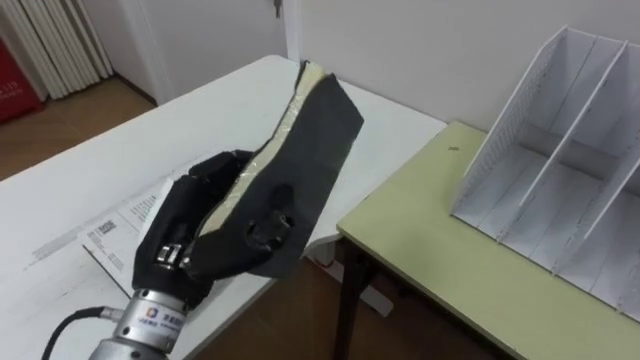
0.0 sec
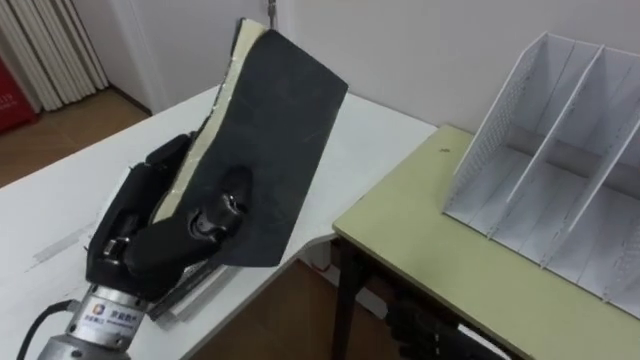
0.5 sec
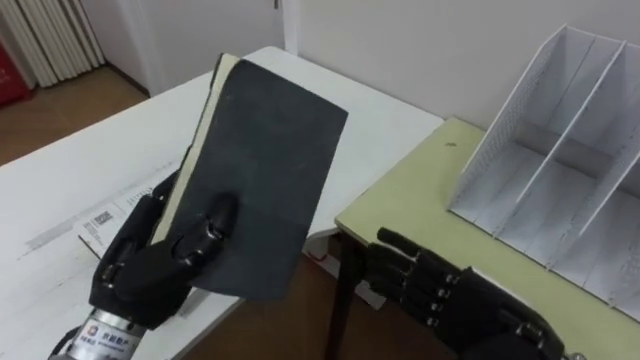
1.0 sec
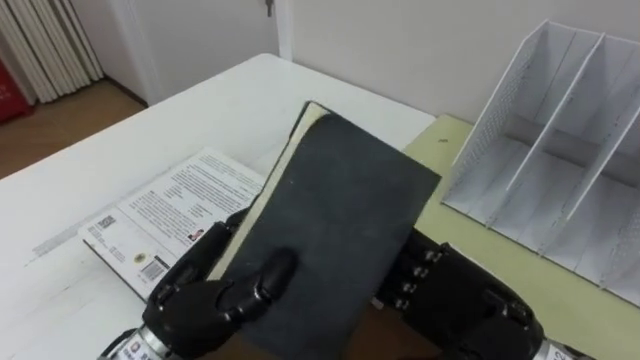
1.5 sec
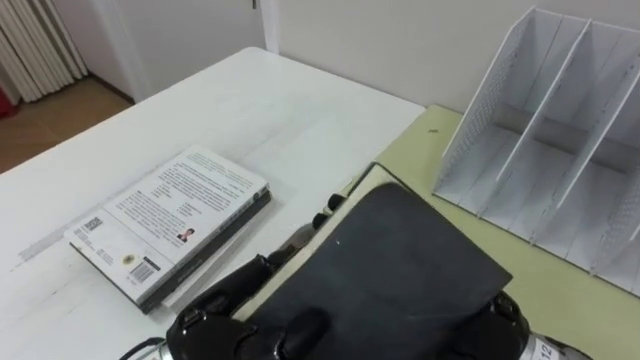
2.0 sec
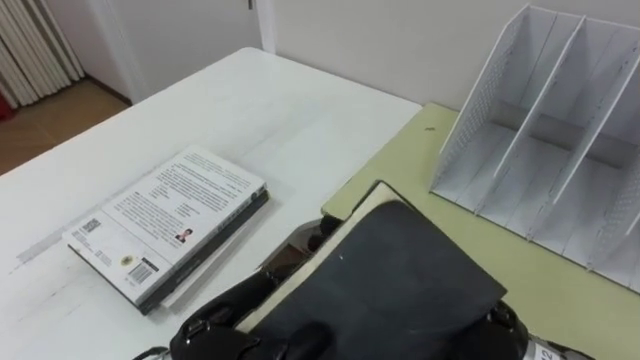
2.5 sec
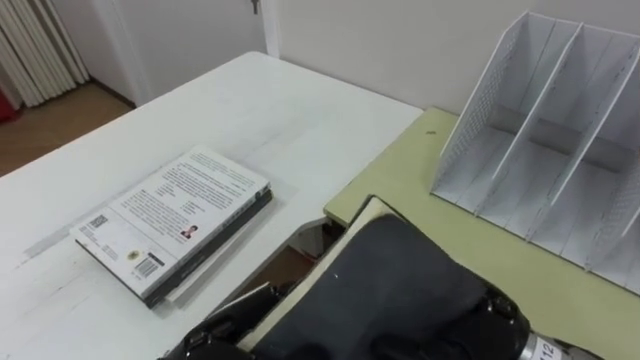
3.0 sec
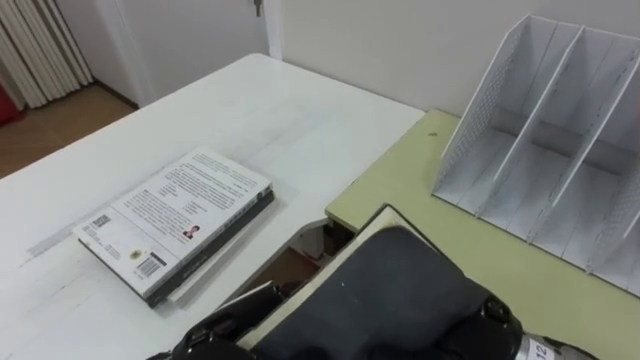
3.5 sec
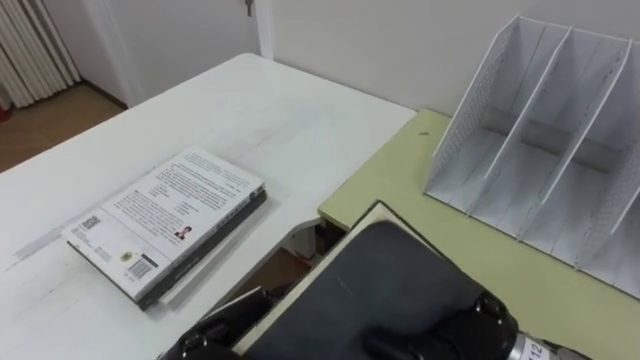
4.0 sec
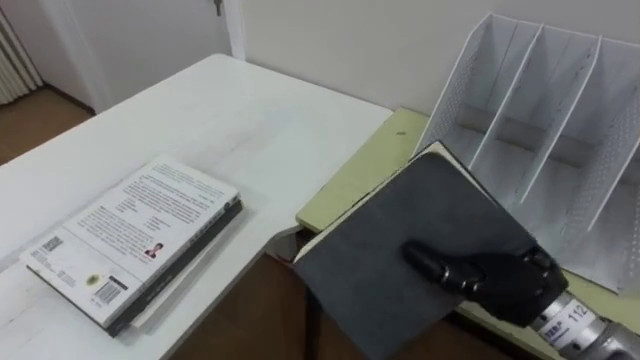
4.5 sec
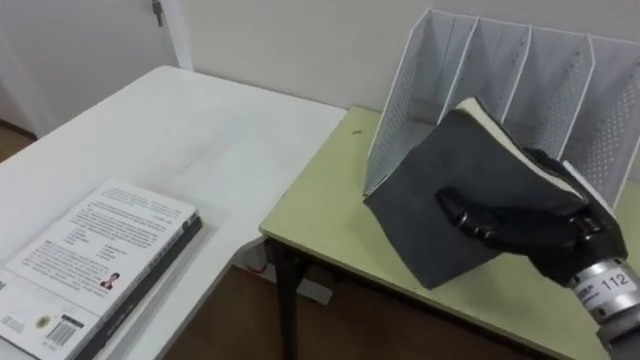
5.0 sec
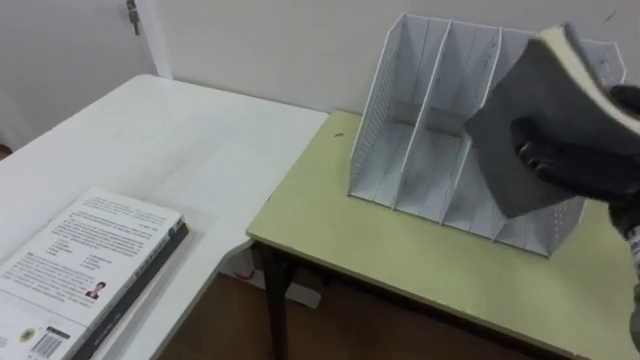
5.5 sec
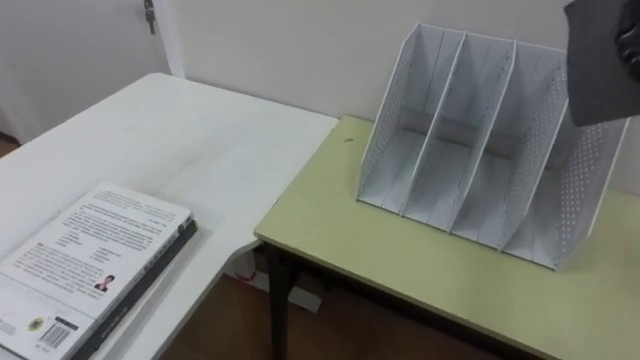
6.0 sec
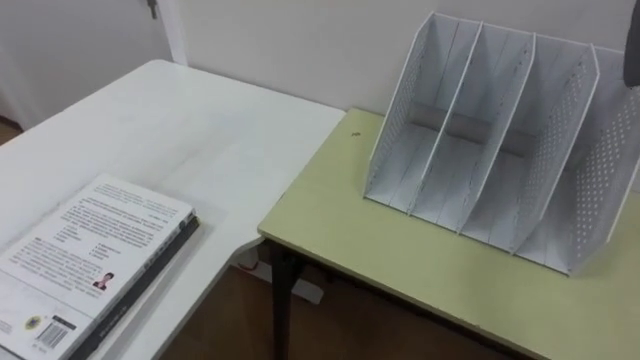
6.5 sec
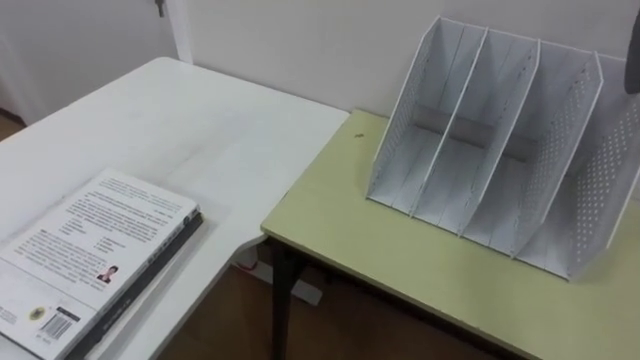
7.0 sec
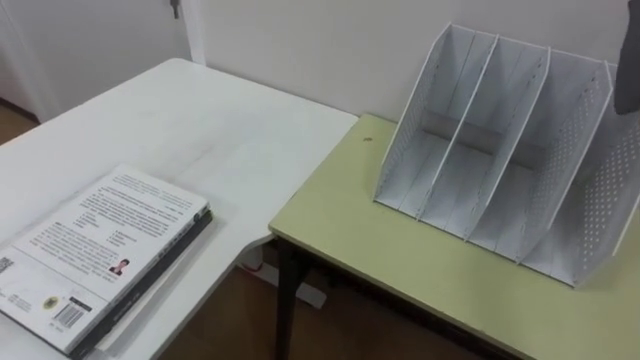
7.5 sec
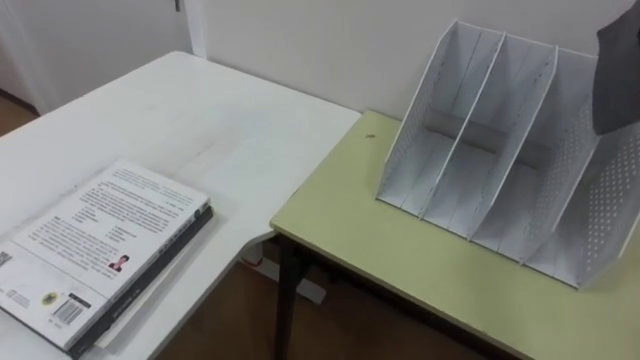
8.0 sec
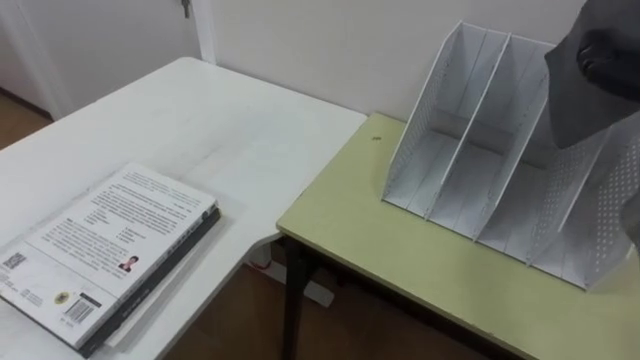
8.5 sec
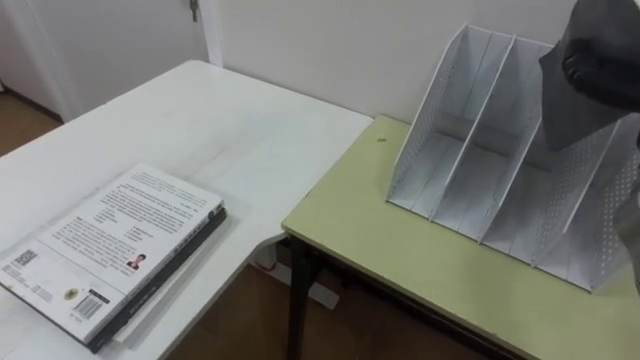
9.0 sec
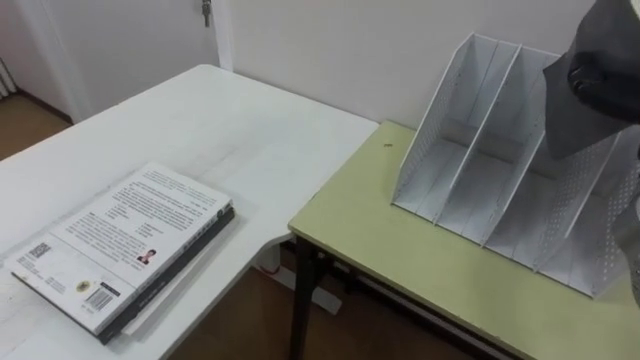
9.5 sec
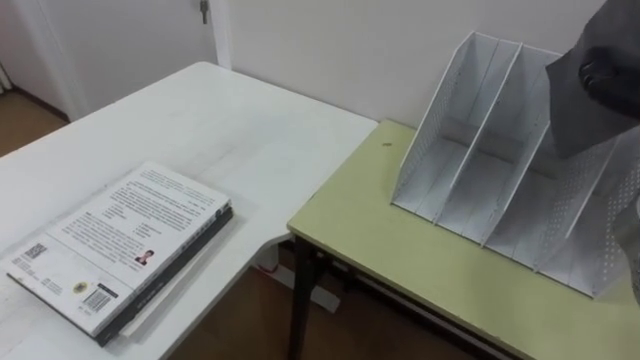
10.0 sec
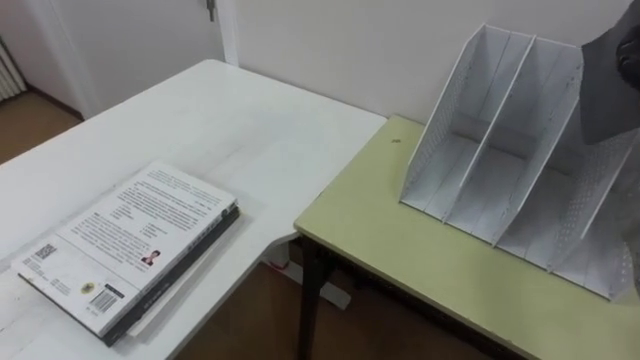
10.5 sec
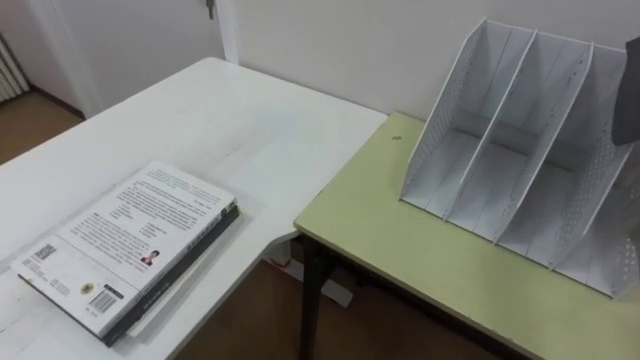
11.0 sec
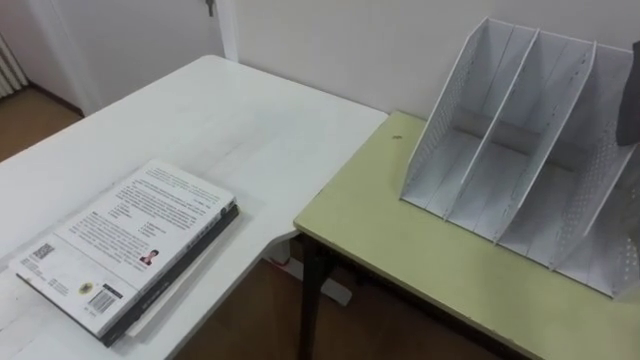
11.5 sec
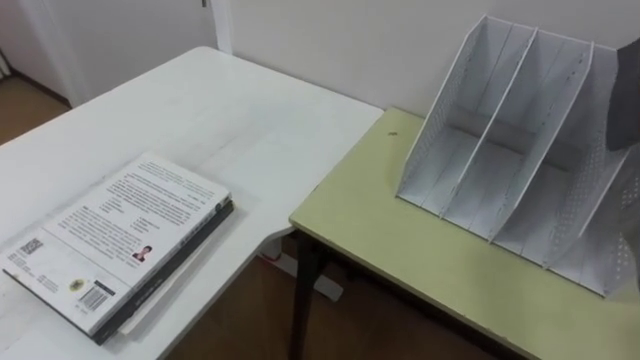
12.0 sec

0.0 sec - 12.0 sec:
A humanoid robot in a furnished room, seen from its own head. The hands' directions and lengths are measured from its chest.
Task of the whole recording: Put the books on the table onto the bookshelf.
0.0 sec - 2.0 sec: The left hand travels backward and to the right by about 10 cm.
2.0 sec - 4.0 sec: The right hand closes up.

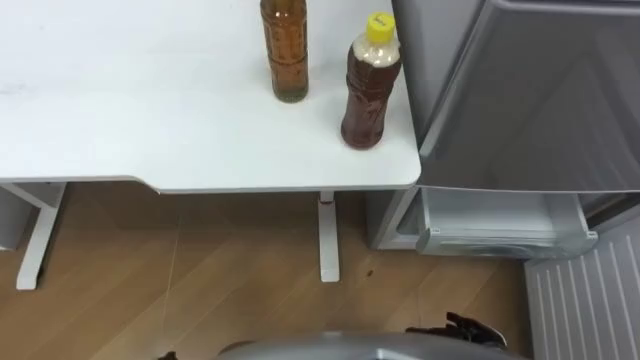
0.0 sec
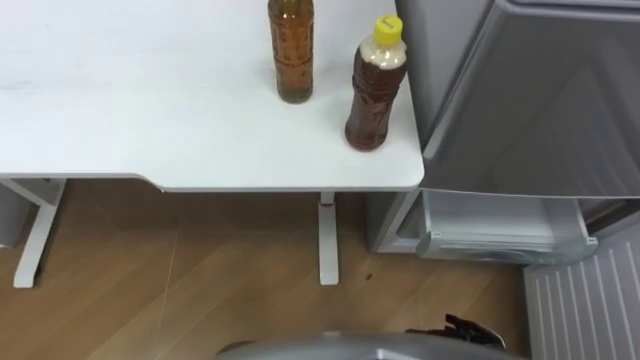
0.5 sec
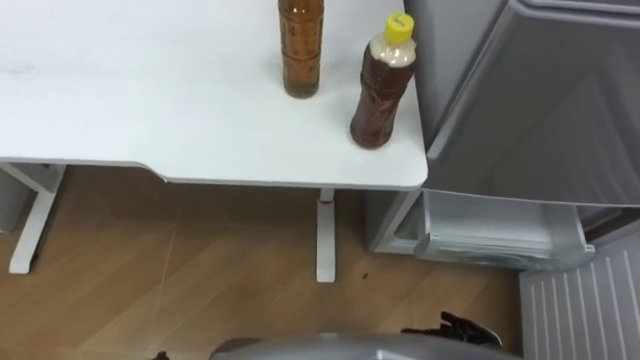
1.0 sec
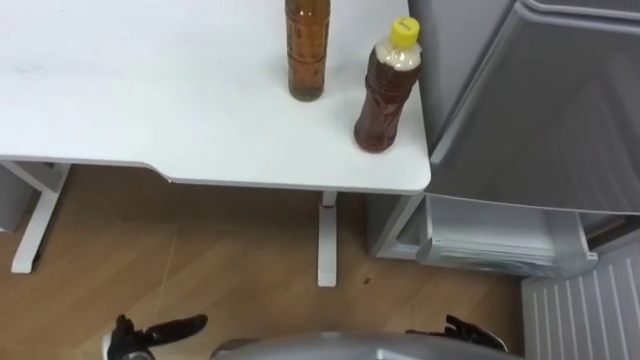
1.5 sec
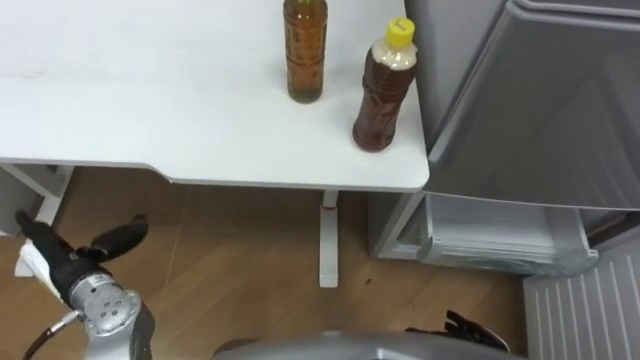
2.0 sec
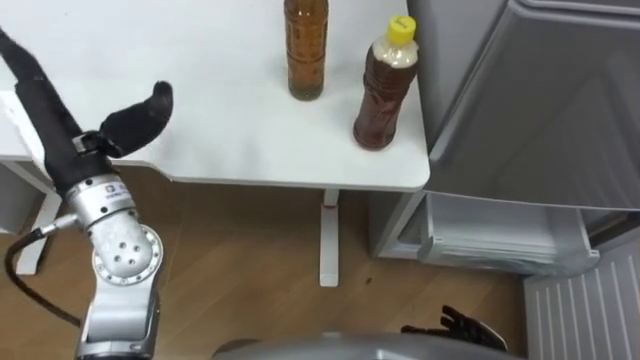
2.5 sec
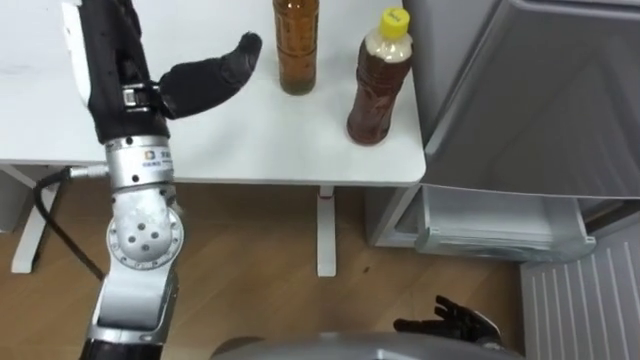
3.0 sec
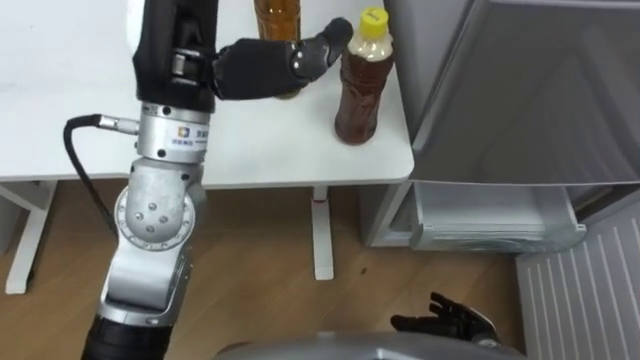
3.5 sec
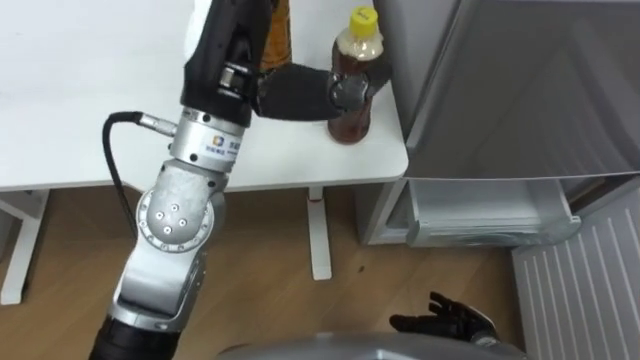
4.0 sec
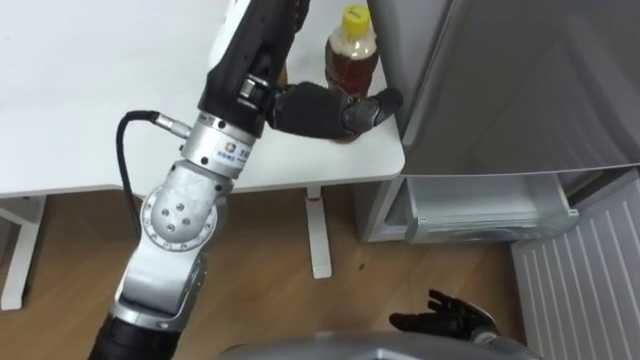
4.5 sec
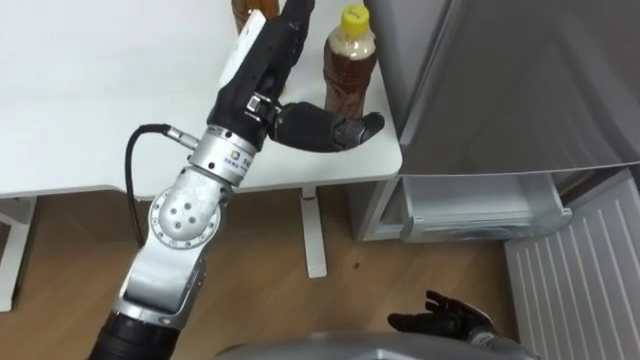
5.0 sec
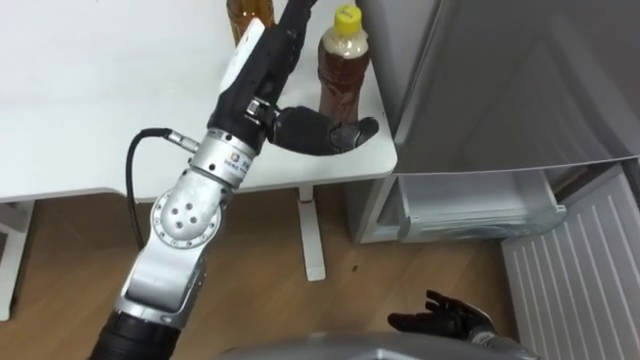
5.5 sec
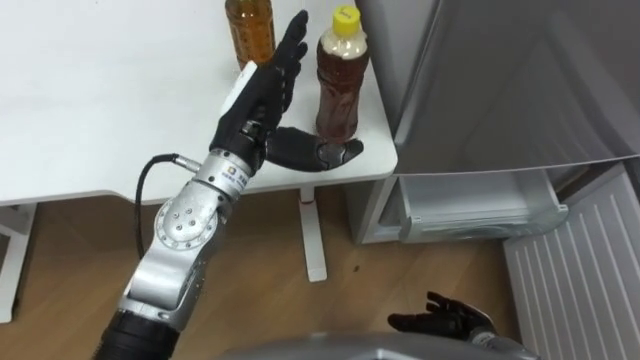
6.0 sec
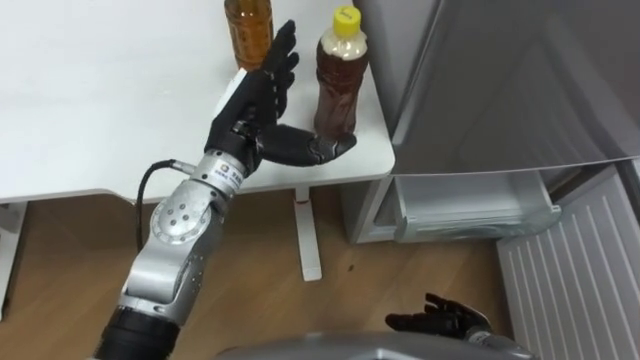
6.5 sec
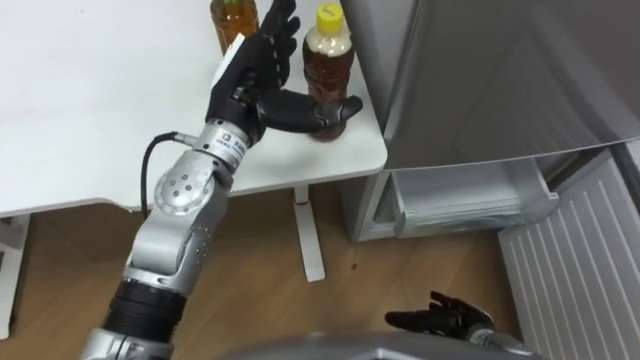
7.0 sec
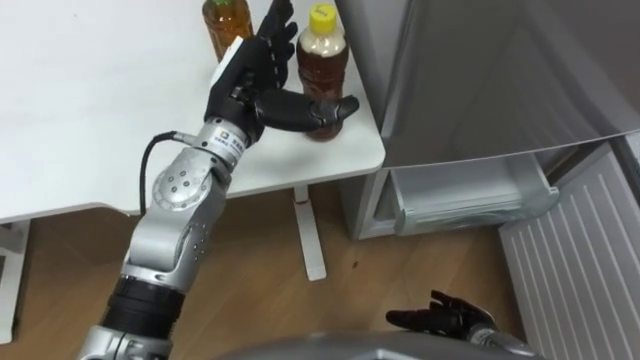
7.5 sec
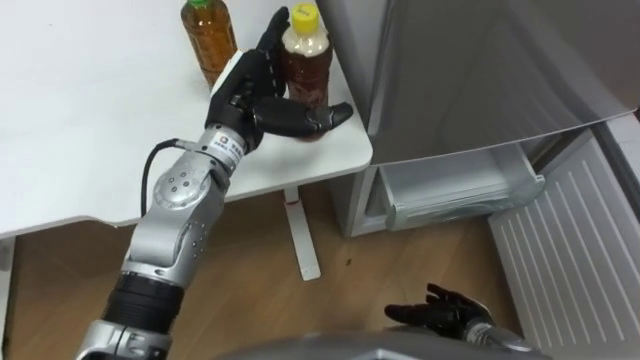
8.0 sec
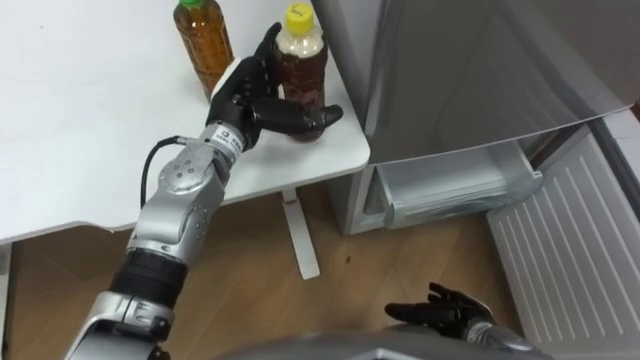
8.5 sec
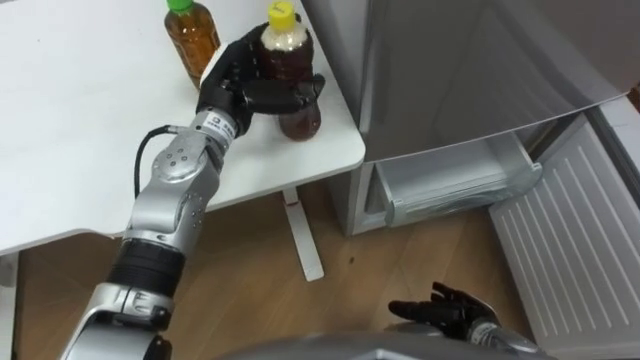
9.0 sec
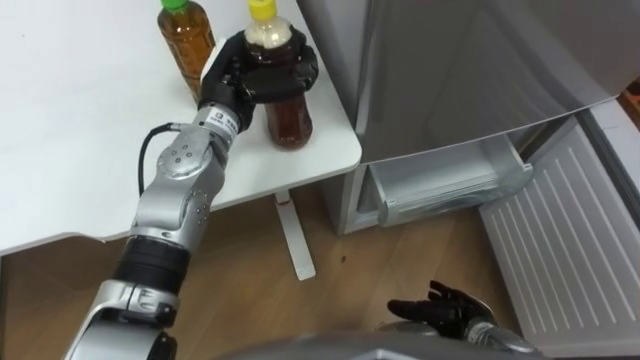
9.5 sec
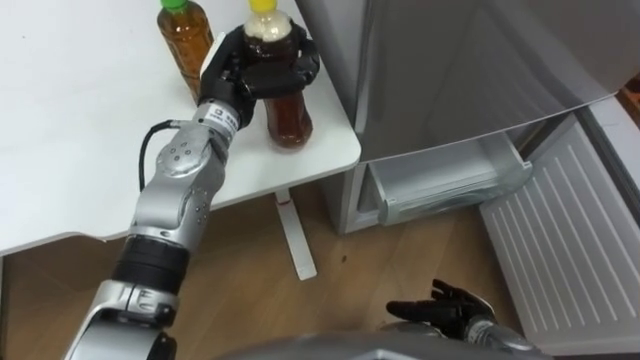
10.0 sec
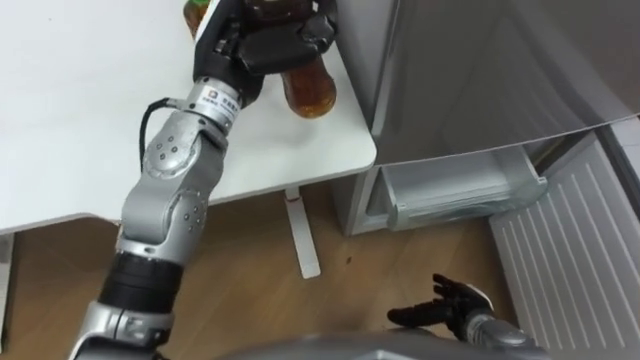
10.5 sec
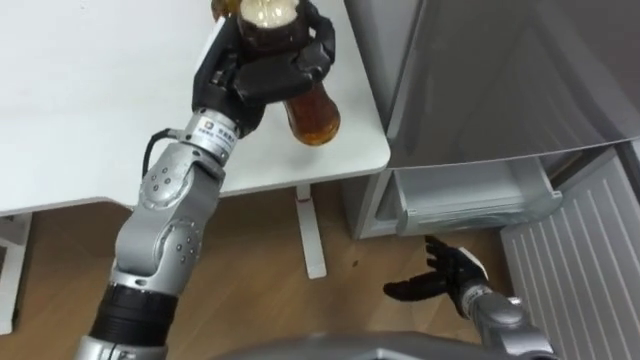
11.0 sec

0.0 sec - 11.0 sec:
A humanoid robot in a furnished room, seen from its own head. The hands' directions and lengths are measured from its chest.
Task of the whole recording: Place the drink on the table on the bottom shelf of the refrigerator, then close the drawer and the refrigerator door.
2.0 sec - 3.5 sec: The left hand goes about 35 cm upward and to the right.
3.5 sec - 5.5 sec: The left hand is displaced downward by roughly 10 cm.
5.5 sec - 7.5 sec: The left hand travels downward by about 5 cm.
7.5 sec - 9.0 sec: The left hand ends up about 5 cm from where it was.
9.0 sec - 11.0 sec: The left hand goes approximately 5 cm upward, and closes its fingers. The right hand moves forward, some 5 cm.
